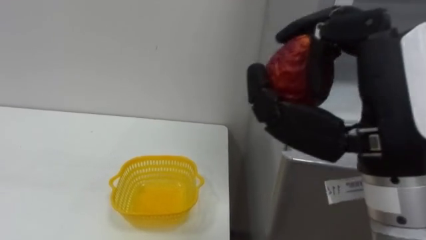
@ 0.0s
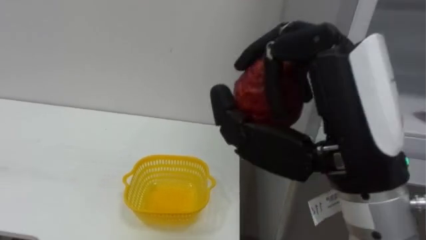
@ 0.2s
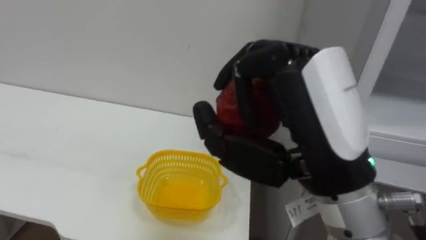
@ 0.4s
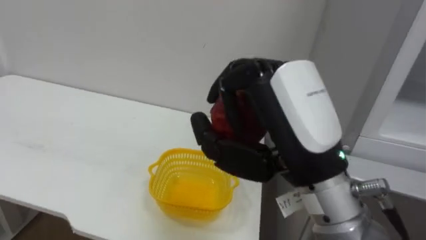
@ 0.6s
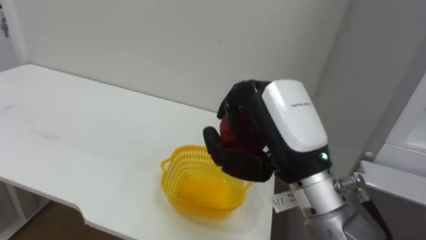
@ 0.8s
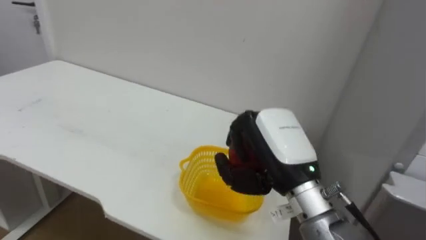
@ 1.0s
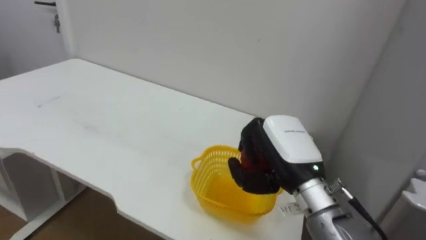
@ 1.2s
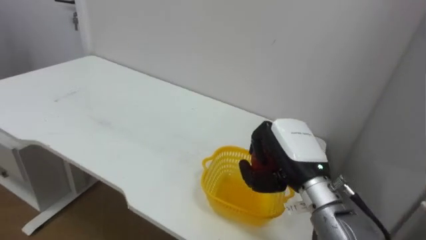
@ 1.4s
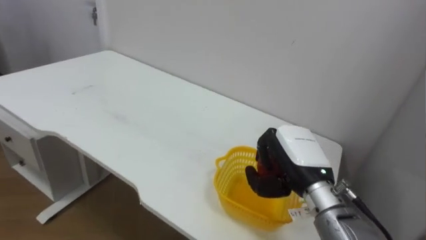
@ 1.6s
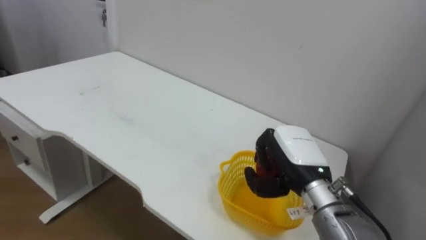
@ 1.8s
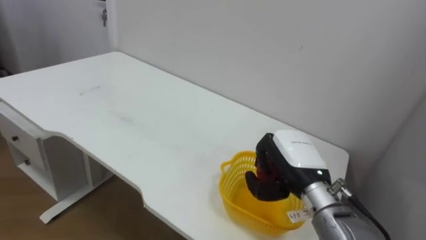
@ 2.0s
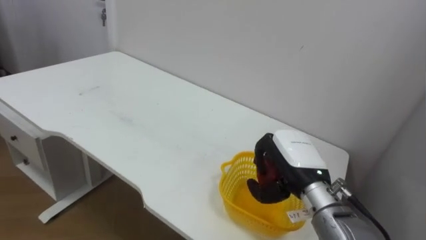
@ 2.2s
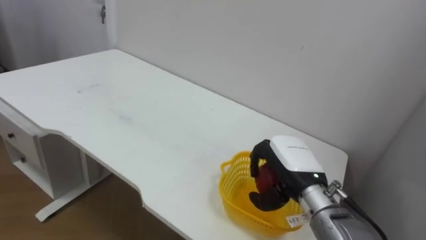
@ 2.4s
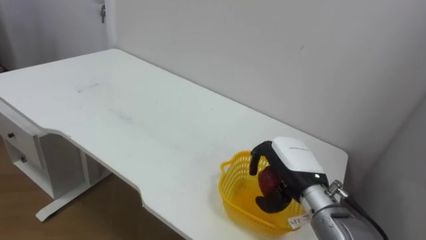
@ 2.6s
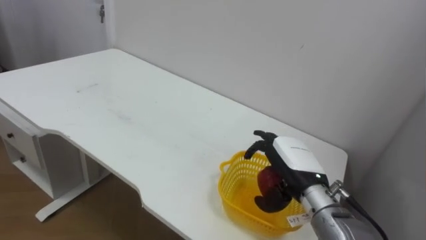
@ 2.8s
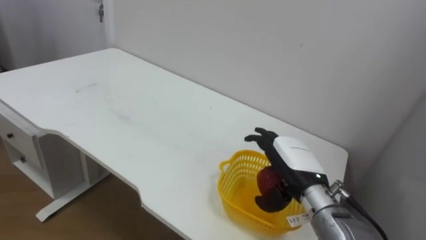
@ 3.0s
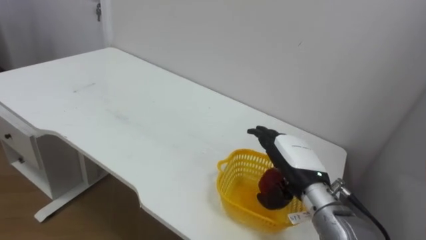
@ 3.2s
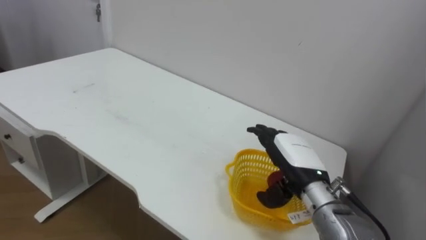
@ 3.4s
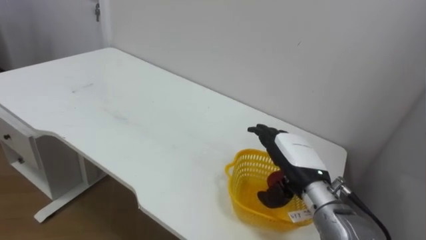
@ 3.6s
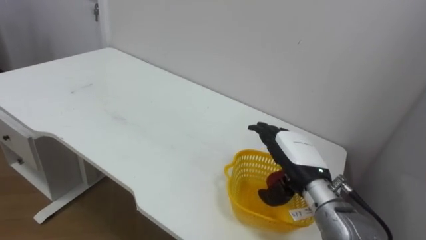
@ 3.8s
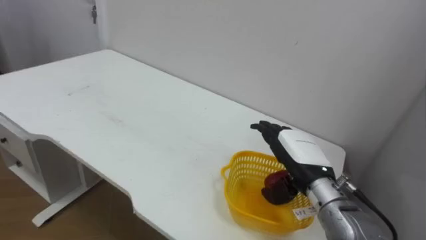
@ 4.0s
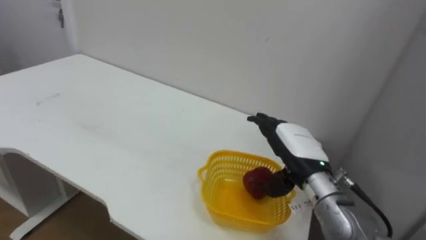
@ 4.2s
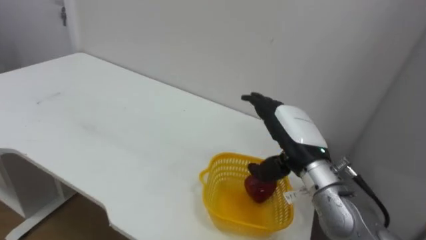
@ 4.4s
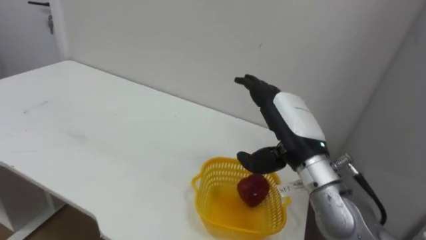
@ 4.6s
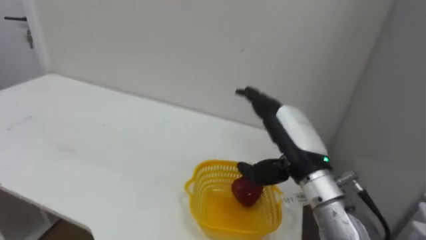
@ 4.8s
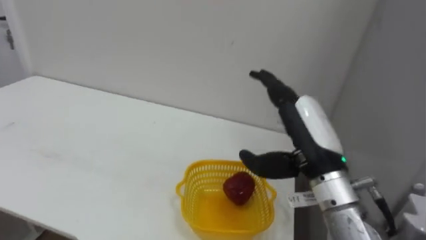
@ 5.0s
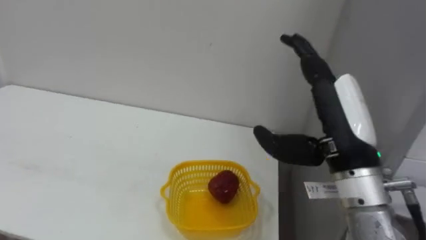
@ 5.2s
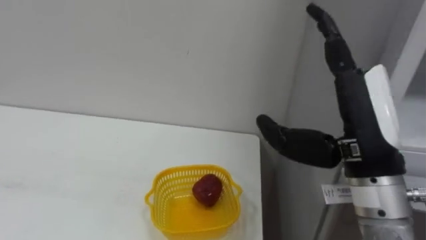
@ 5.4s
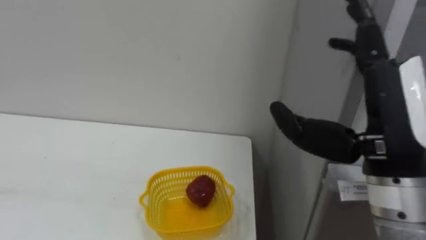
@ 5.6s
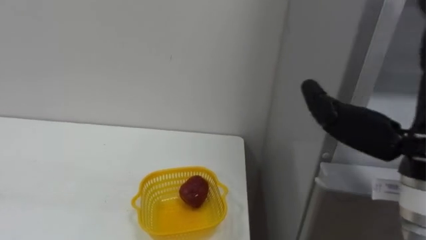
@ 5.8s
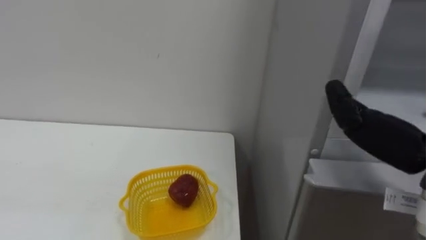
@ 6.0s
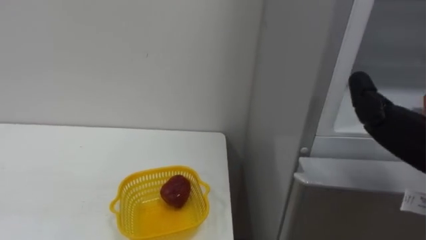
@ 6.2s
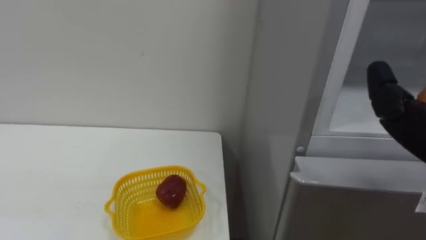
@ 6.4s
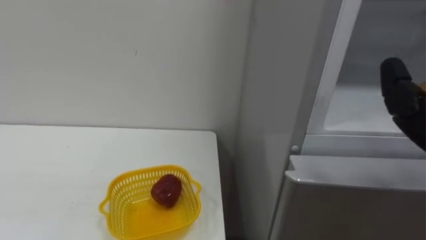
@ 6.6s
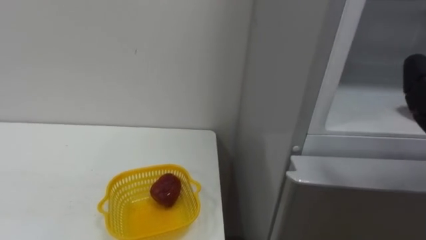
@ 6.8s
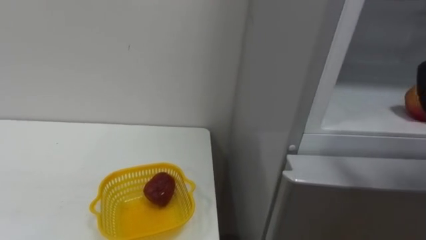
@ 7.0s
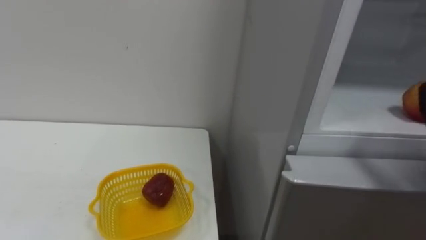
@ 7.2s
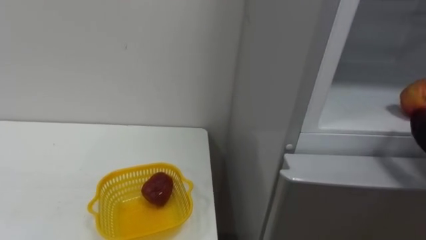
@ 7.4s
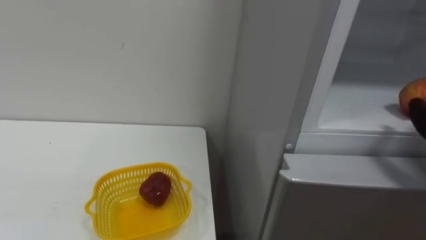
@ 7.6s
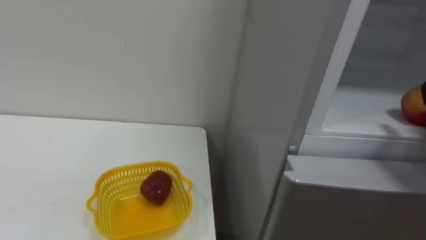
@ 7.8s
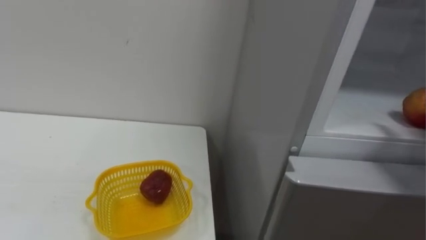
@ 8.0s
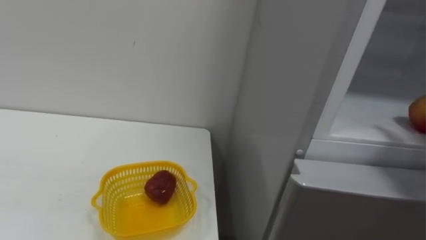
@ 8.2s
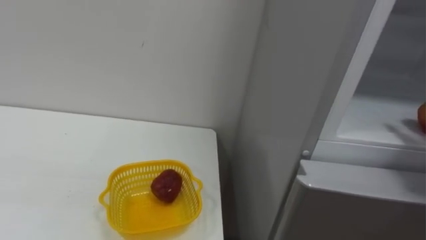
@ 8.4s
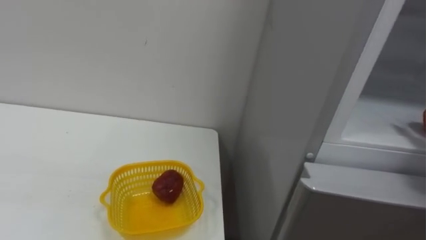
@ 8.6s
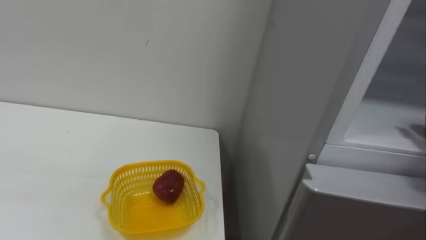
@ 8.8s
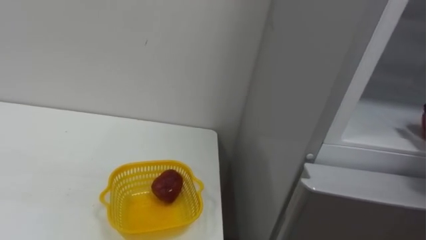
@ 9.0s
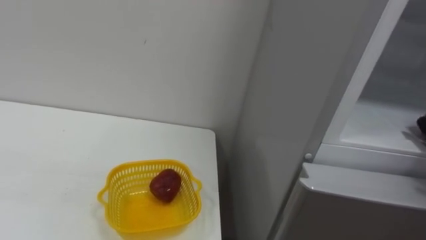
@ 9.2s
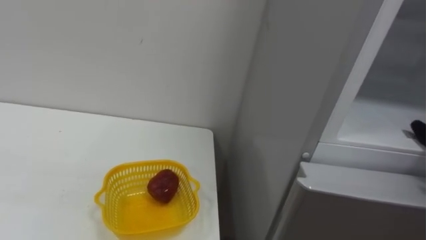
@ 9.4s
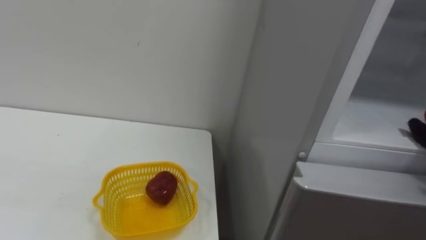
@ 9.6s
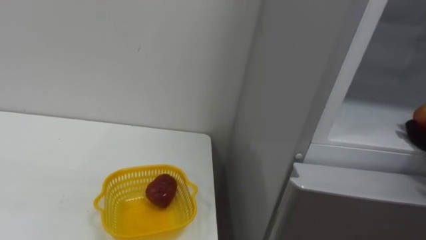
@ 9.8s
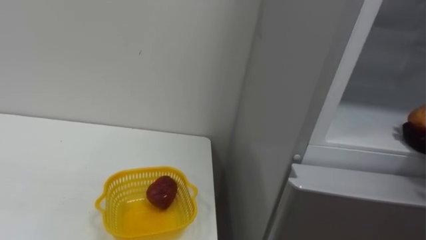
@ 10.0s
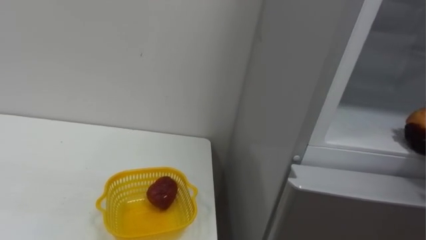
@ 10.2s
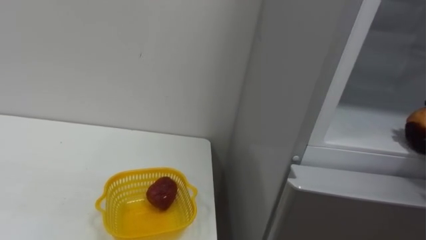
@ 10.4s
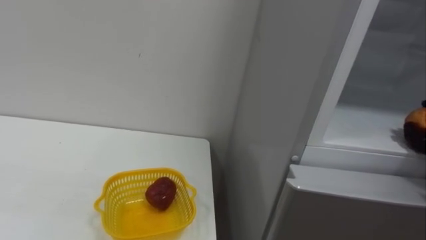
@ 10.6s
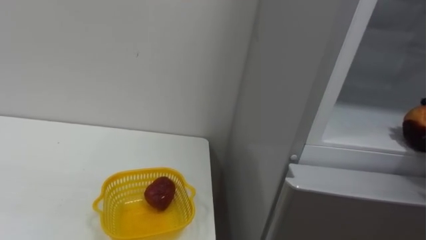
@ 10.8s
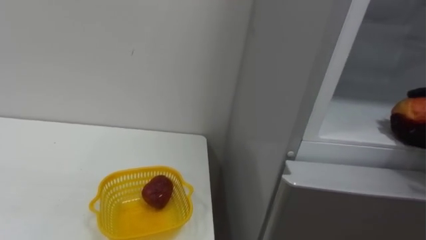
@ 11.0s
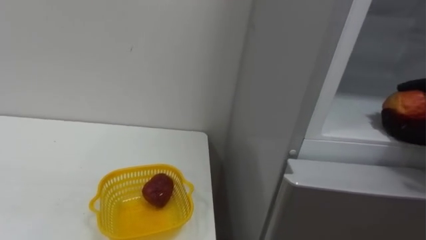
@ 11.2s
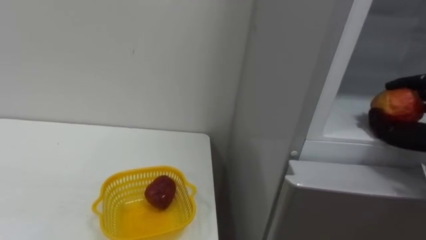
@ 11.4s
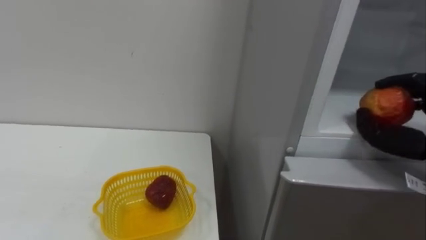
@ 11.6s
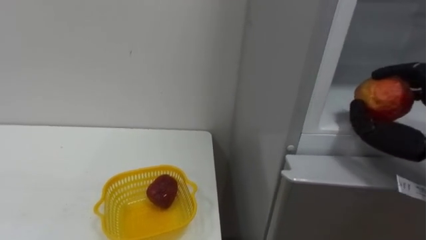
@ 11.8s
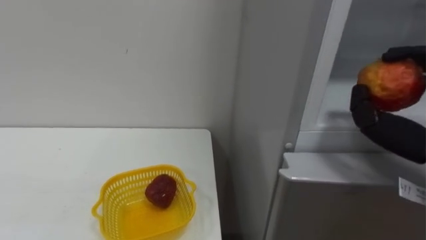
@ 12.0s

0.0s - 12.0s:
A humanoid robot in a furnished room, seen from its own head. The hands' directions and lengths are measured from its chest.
Task of the whole recording: Open the refrigerator door, take out the apple and the pomegranate, place them in the fruit basket on the left, and close the refrigerator door.
0.0s - 1.6s: The right hand moves downward and forward, roughly 20 cm.
1.6s - 3.0s: The right hand opens up.
3.0s - 4.4s: The right hand moves upward, about 5 cm.

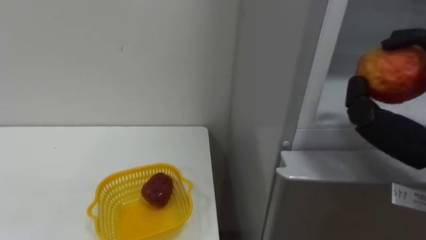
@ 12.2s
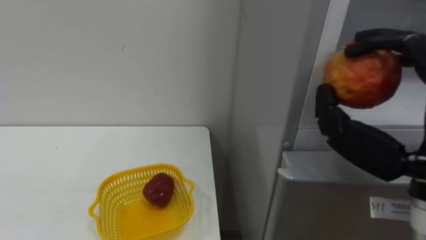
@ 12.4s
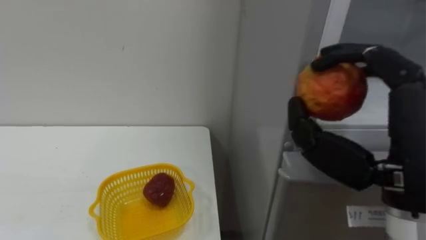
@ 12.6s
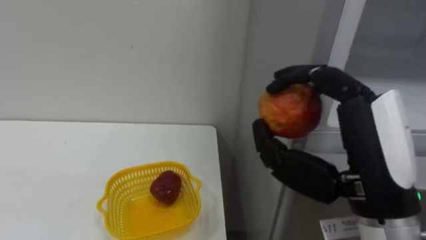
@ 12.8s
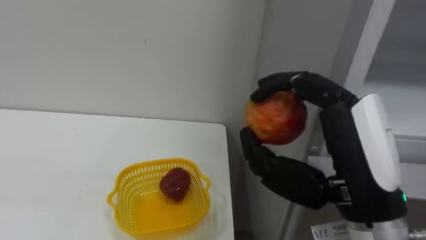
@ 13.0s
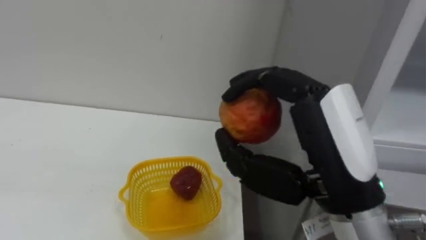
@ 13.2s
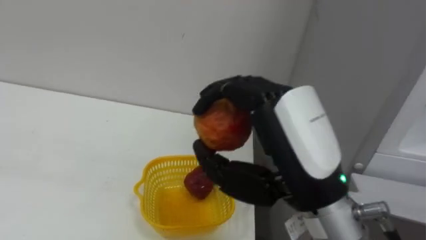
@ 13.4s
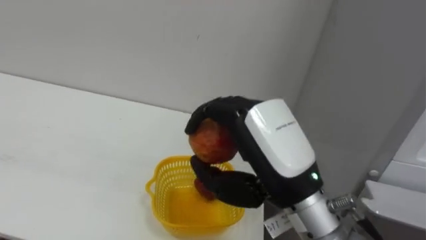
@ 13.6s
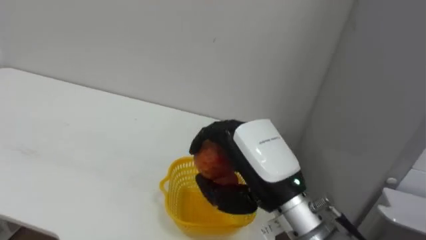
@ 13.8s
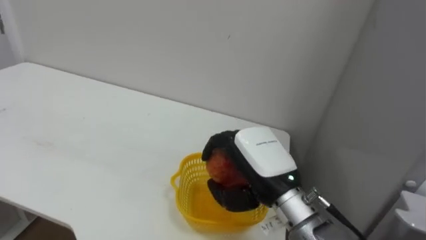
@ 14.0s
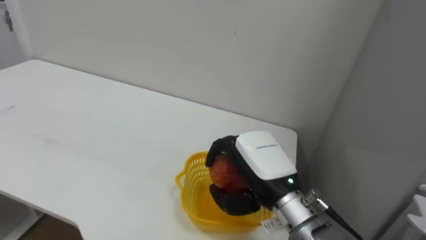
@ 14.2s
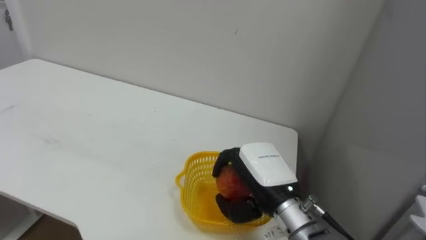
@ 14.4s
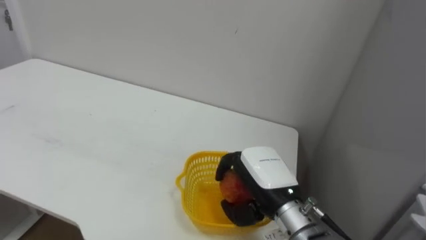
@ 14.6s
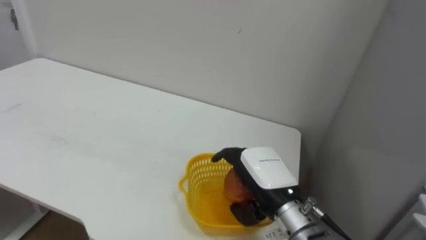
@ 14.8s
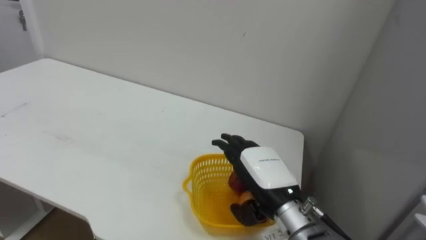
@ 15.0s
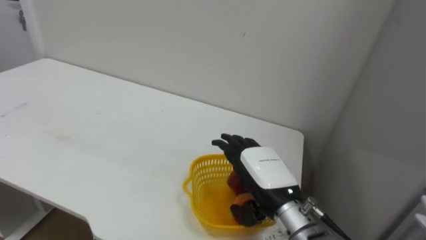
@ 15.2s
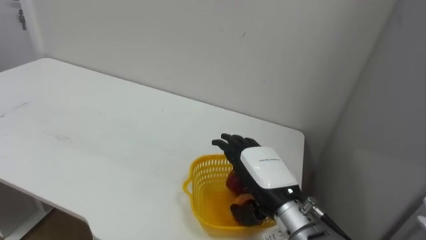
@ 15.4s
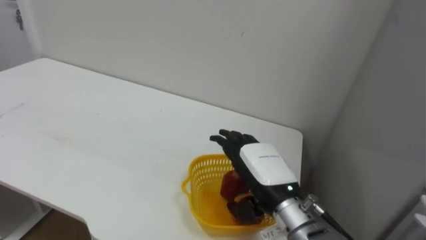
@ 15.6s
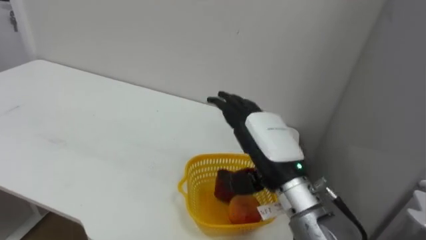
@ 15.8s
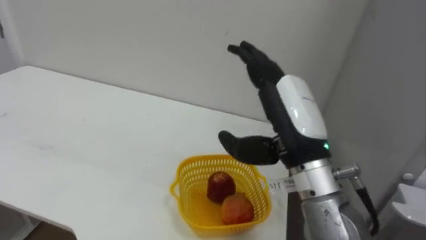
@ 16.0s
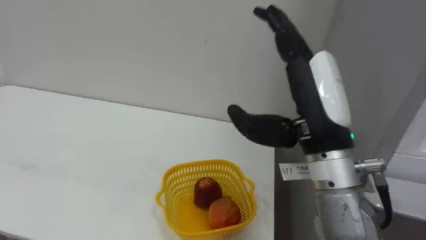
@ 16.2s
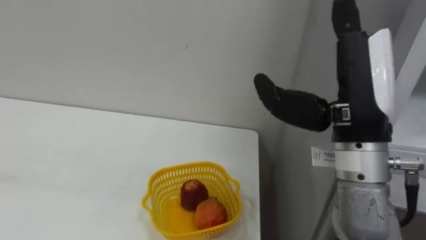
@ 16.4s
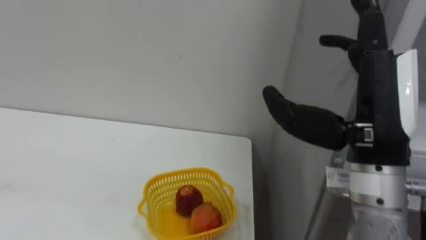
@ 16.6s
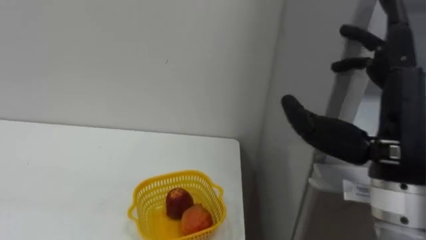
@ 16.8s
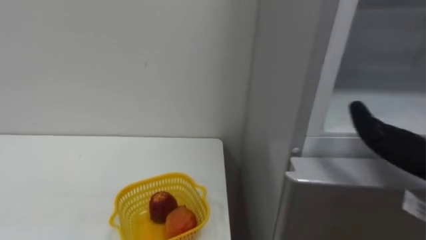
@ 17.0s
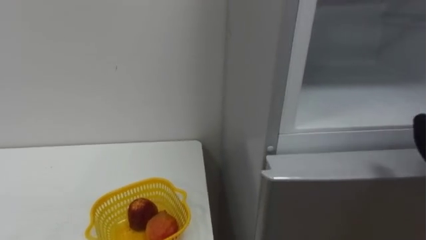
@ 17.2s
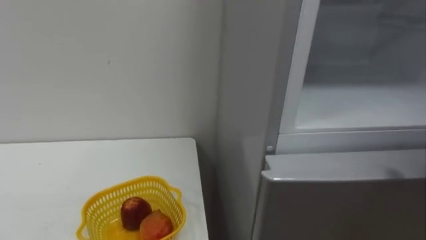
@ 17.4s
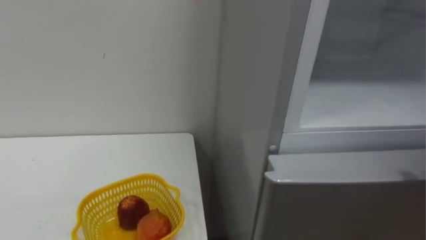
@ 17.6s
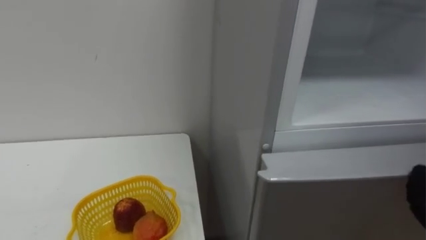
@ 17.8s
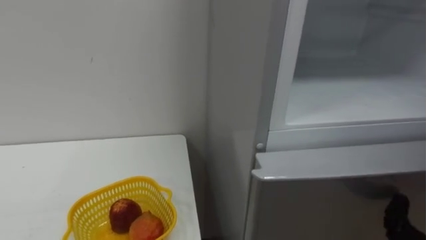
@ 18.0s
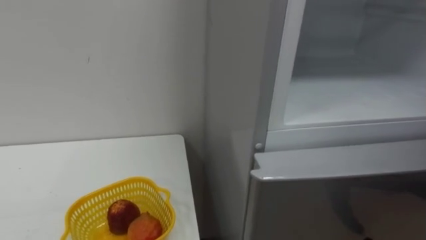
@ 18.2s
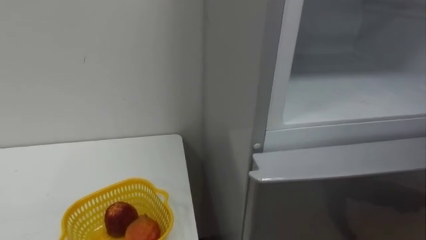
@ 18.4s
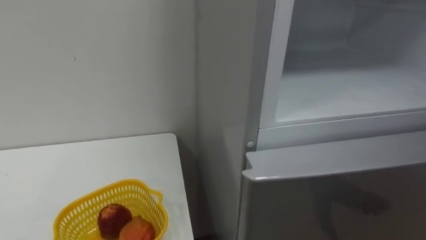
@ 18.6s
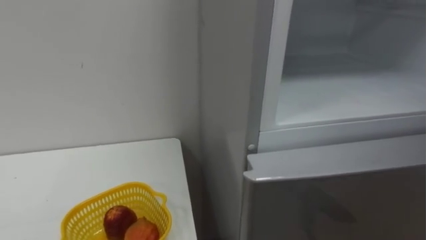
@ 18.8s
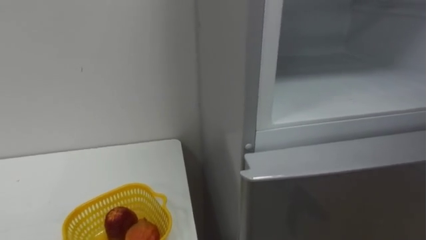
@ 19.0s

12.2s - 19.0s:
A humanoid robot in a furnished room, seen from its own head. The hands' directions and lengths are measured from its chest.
Task of the whole recording: Open the refrigerator door, take out the apple and the pomegranate, place them in the fruit basket on the left, and close the refrigerator door.
13.6s - 15.0s: The right hand is displaced downward and forward by roughly 15 cm, and opens up.
15.0s - 16.2s: The right hand heads upward, covering approximately 15 cm.
